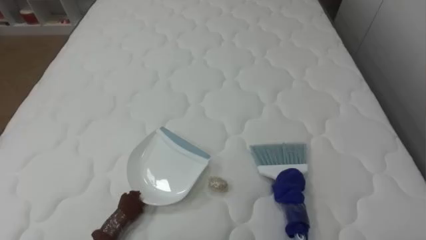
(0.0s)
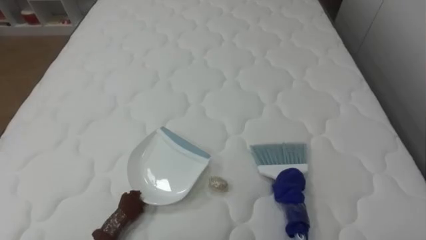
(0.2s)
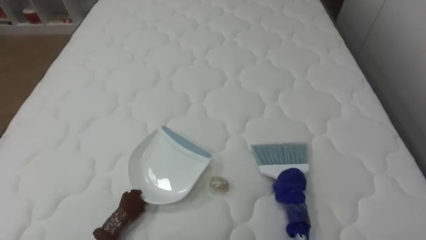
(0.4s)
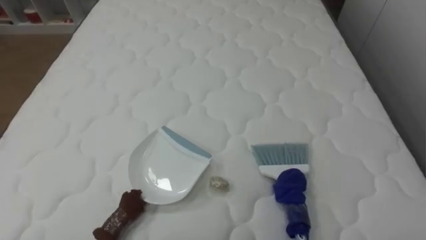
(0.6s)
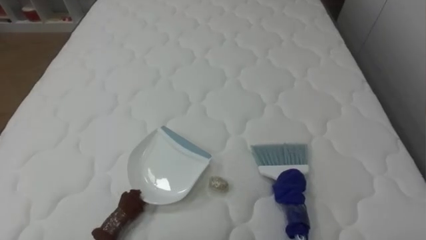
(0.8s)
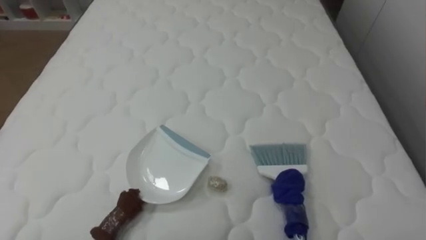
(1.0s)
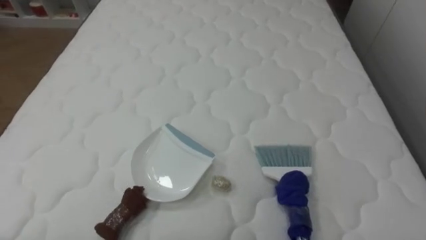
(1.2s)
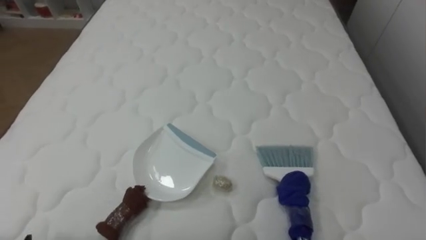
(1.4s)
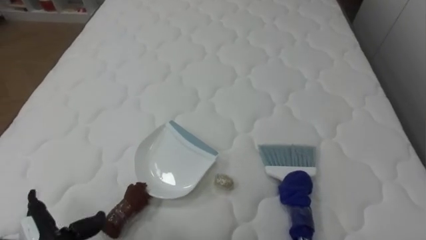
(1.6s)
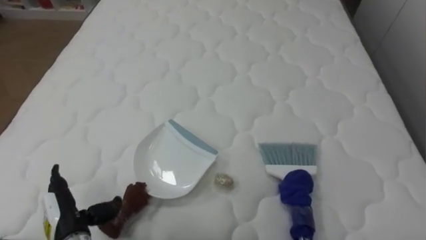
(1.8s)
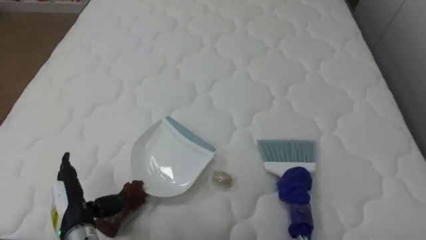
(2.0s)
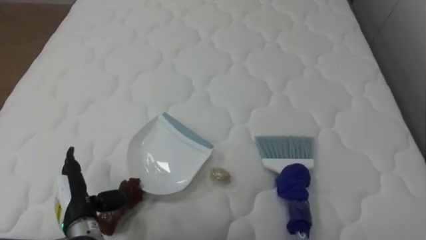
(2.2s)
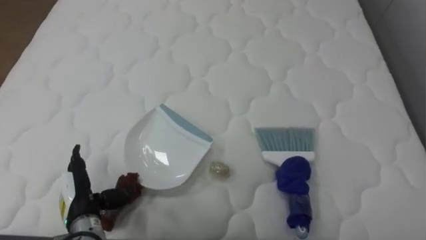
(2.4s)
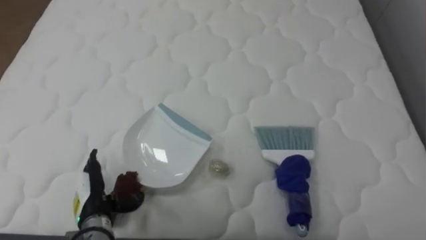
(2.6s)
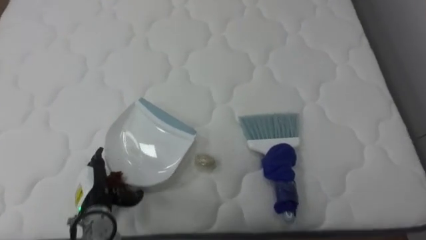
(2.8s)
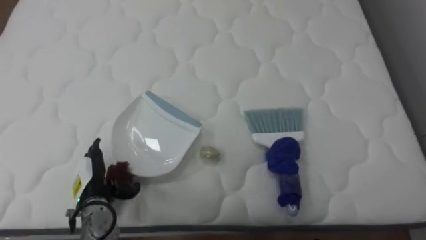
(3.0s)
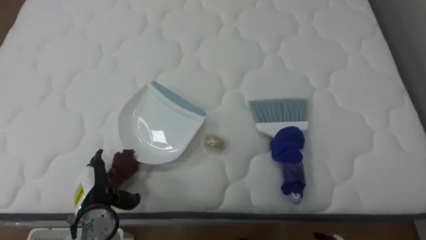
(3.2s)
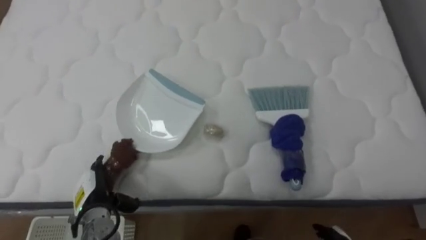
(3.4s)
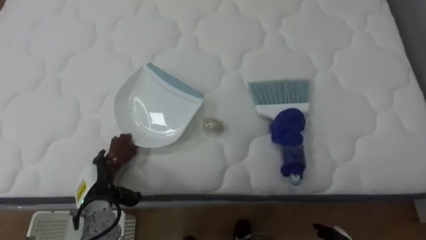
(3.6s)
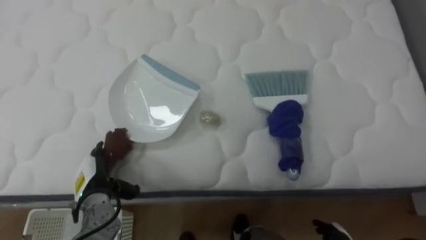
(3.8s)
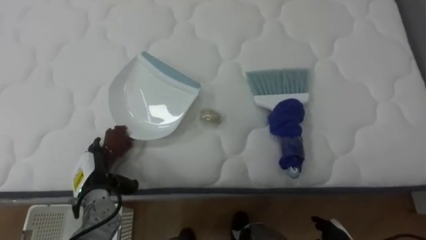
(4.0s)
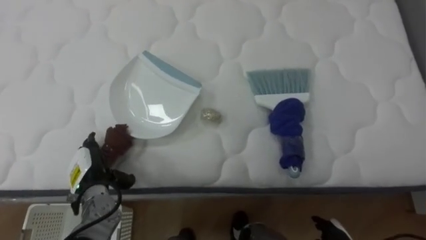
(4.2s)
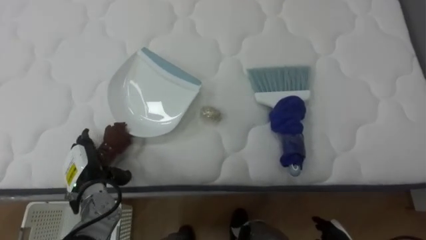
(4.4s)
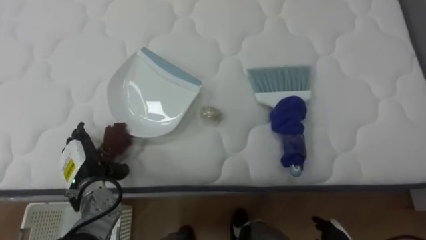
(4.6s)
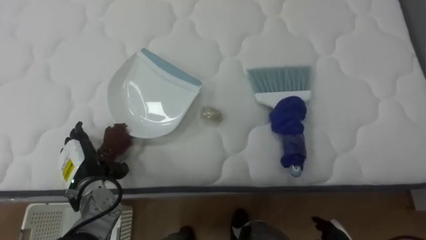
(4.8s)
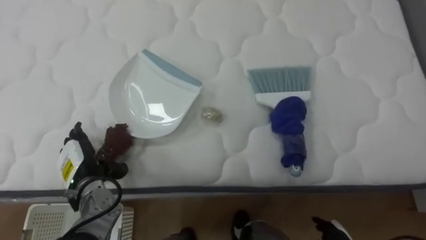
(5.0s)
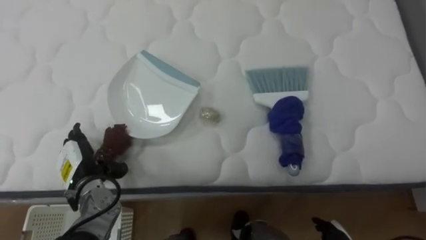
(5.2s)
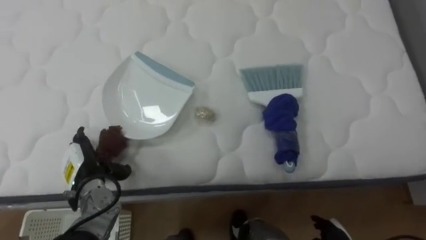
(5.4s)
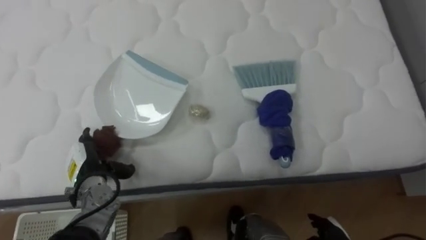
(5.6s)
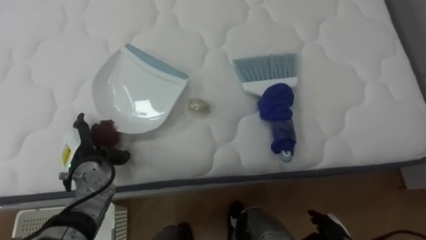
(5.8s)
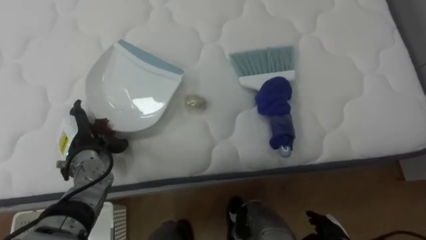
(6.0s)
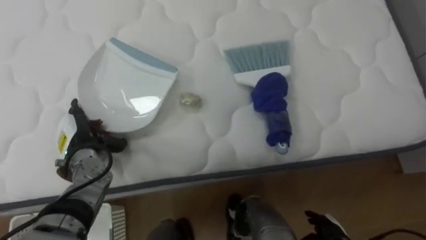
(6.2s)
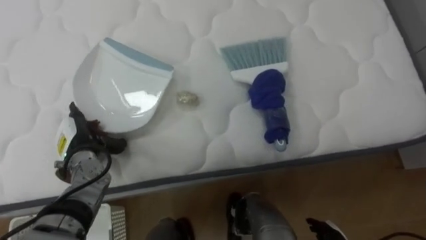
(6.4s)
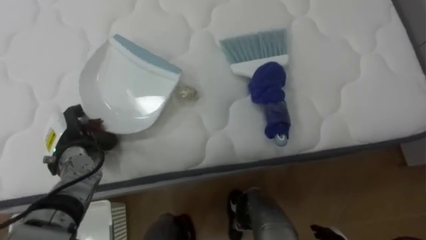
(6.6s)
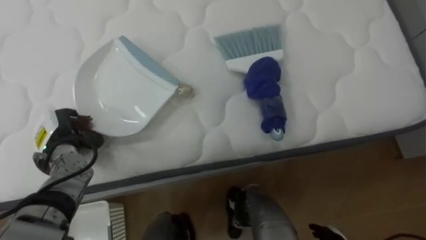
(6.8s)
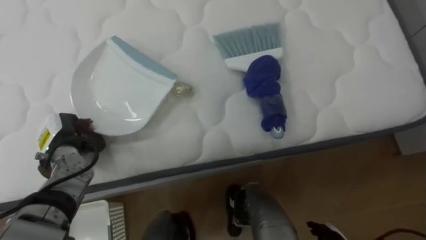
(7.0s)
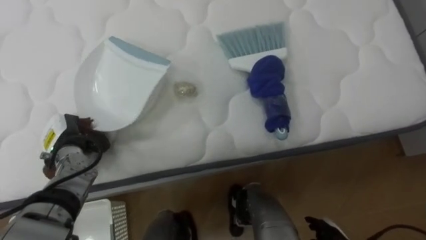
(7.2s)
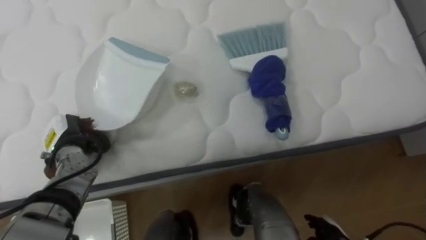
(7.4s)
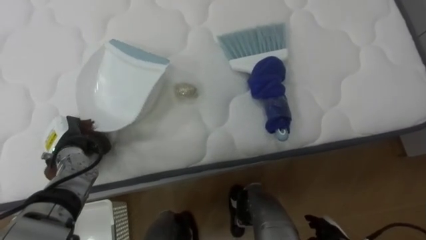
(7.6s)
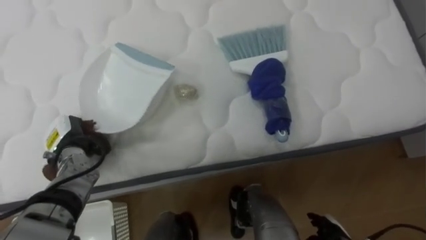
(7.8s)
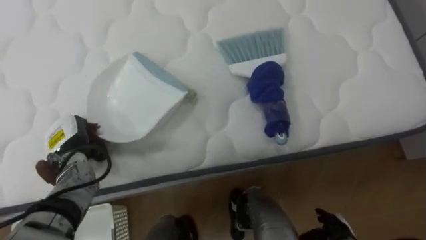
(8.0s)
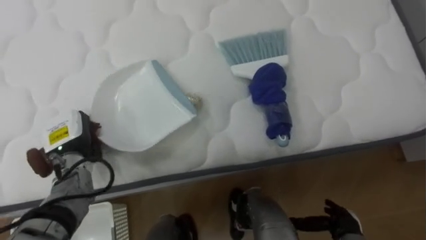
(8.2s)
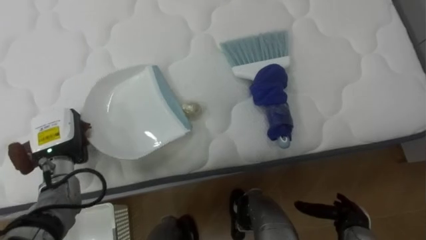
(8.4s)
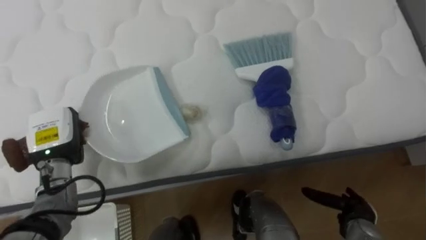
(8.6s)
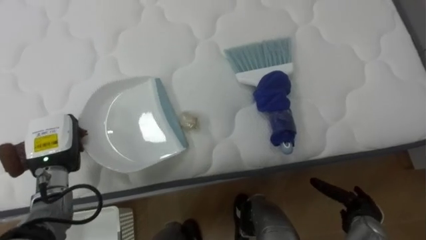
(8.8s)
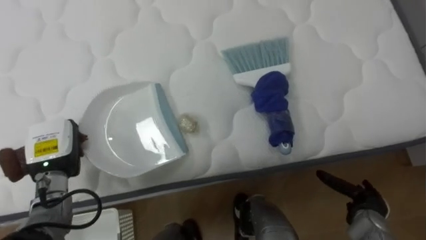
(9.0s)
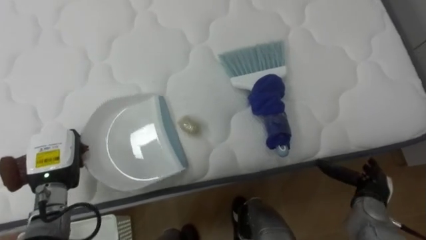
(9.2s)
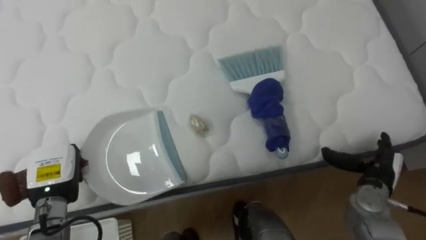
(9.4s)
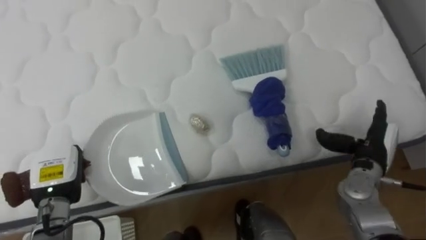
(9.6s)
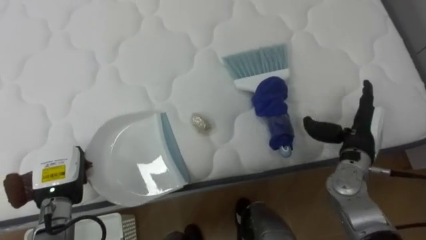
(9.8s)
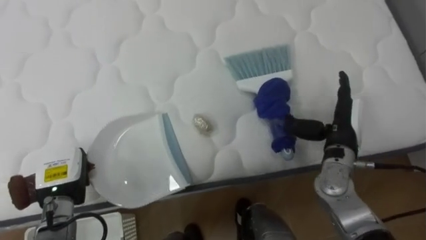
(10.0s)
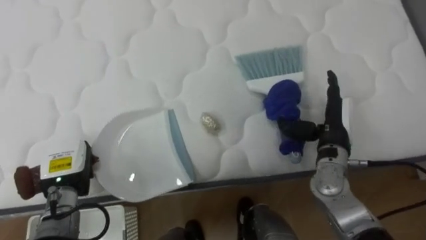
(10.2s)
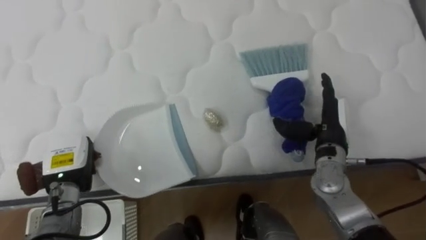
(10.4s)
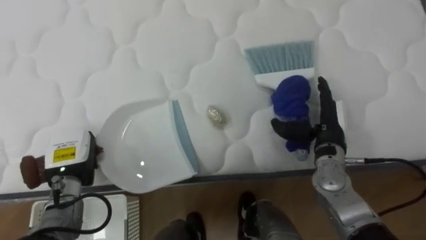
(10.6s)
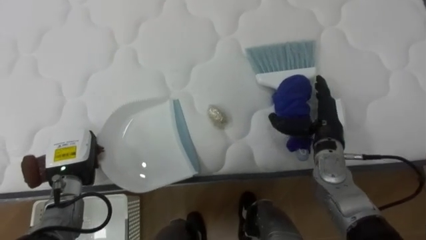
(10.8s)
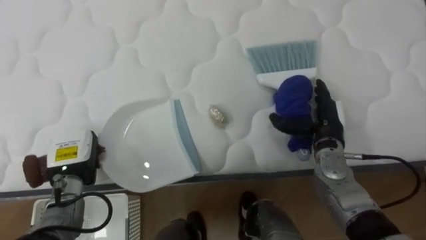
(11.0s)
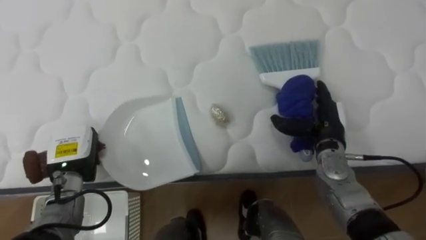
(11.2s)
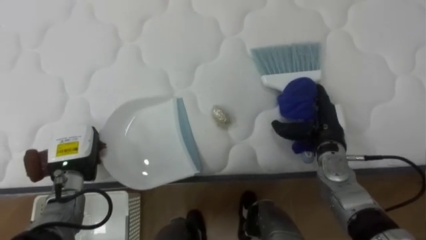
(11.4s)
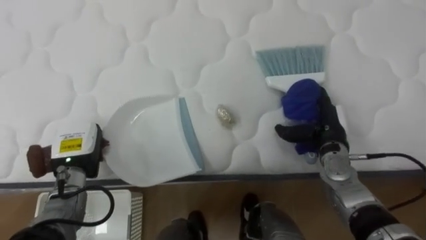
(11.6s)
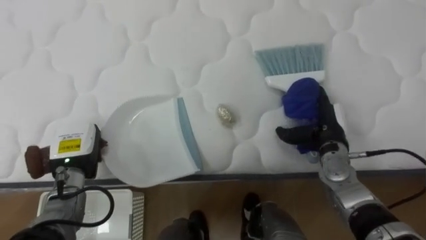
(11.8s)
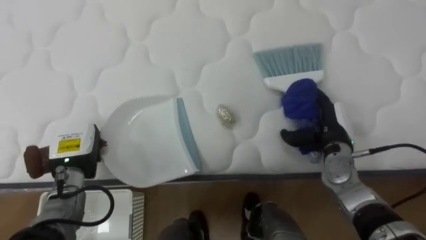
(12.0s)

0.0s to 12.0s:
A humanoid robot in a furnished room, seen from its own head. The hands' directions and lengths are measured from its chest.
Task of the whole recording: Pick up the brush on your right and the dustpan on your left. Use the brush to sweep the crumpled paper on the bed into the dustpan, then turn left and empty it into the basket.
1.6s to 3.0s: The left hand travels forward and to the right by about 15 cm.
4.4s to 6.0s: The left hand shifts by some 5 cm.
6.0s to 7.6s: The left hand closes.
9.0s to 10.4s: The right hand moves upward, forward and to the left, roughly 20 cm.
10.4s to 12.0s: The right hand moves some 5 cm.

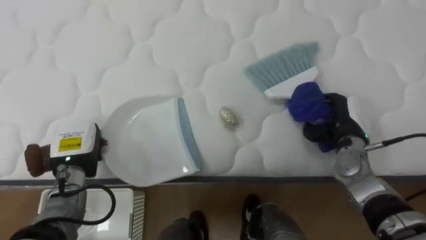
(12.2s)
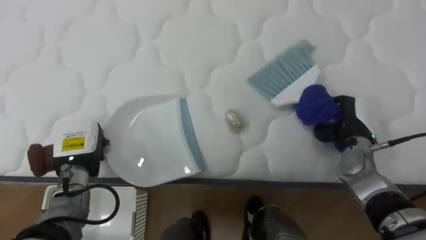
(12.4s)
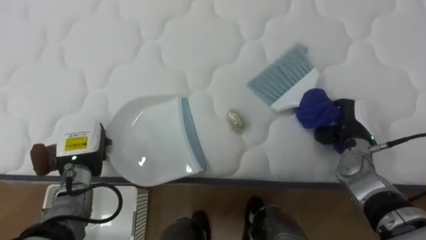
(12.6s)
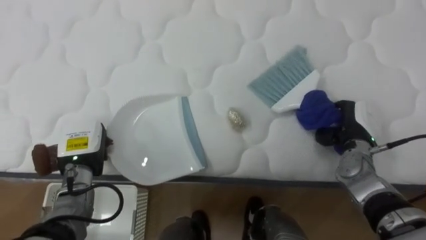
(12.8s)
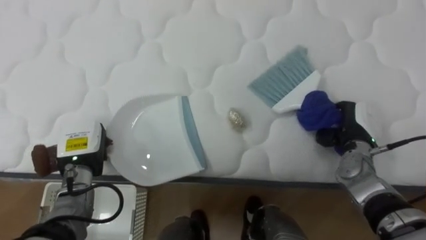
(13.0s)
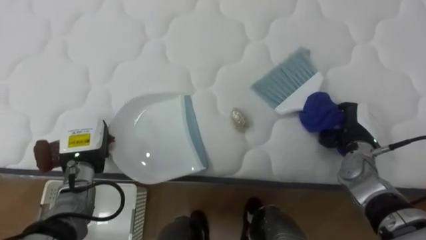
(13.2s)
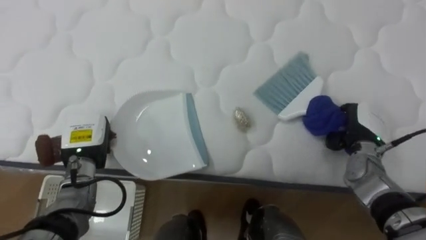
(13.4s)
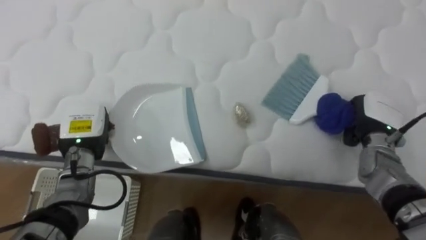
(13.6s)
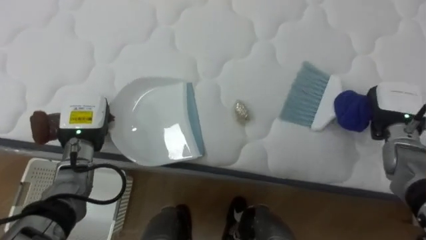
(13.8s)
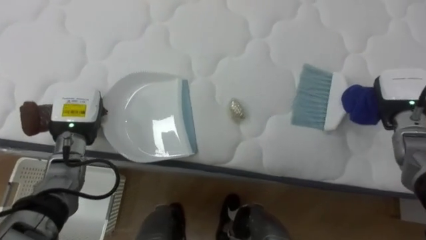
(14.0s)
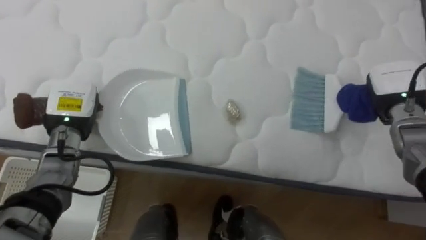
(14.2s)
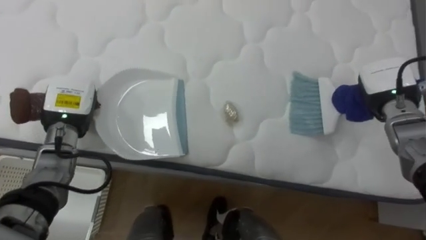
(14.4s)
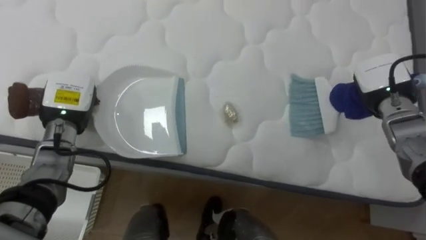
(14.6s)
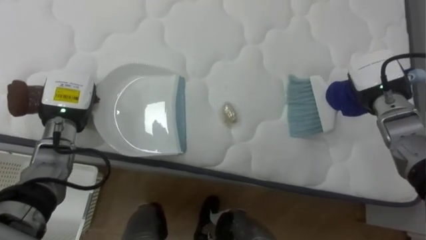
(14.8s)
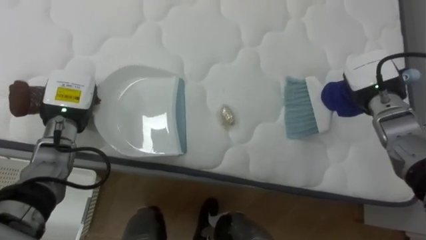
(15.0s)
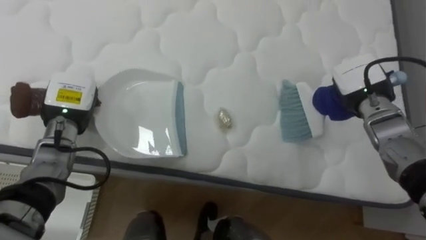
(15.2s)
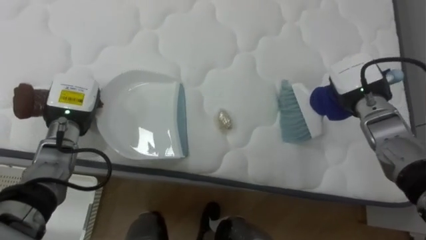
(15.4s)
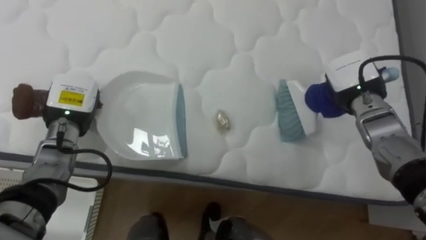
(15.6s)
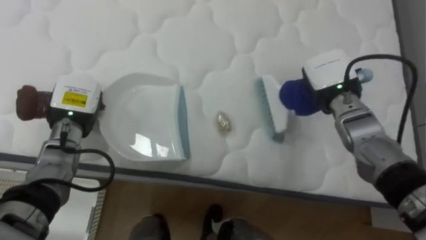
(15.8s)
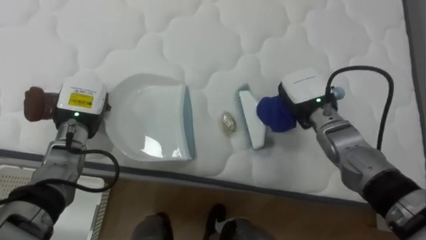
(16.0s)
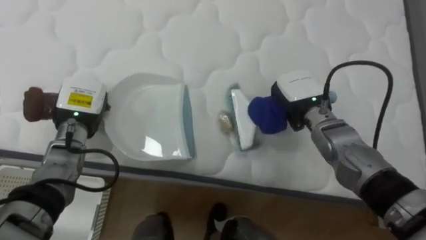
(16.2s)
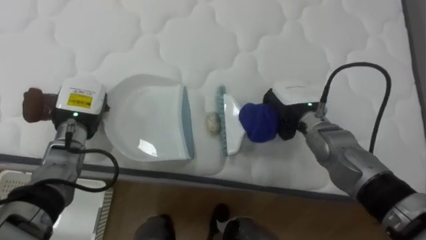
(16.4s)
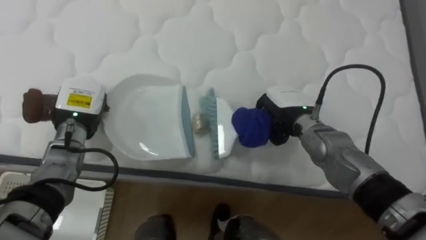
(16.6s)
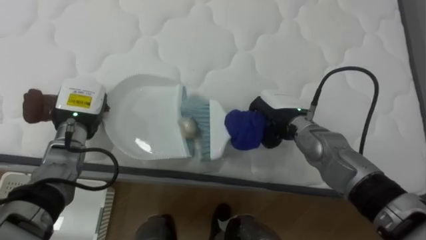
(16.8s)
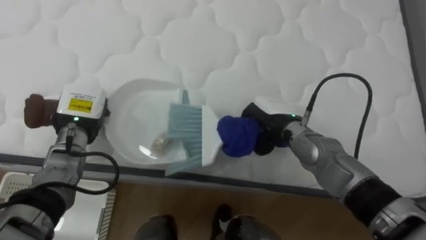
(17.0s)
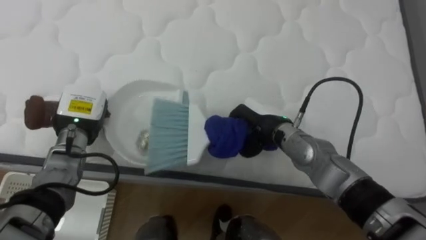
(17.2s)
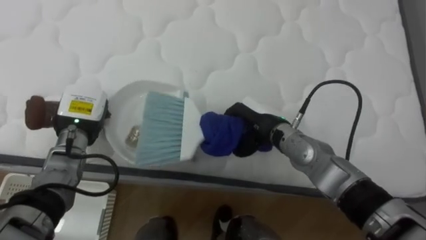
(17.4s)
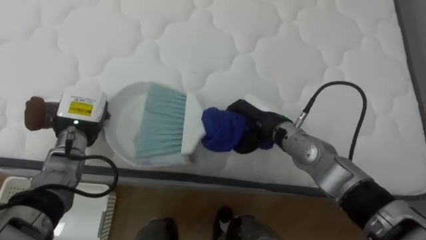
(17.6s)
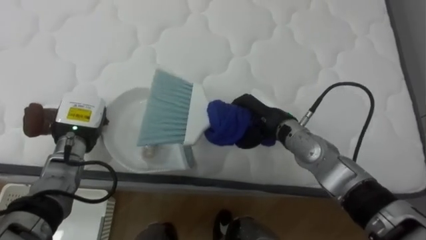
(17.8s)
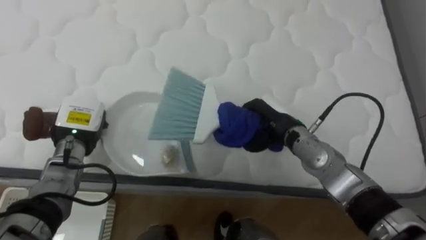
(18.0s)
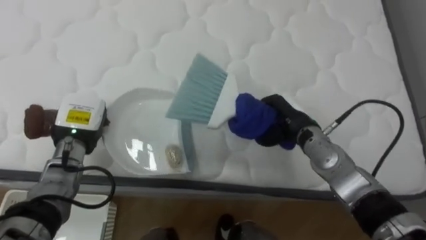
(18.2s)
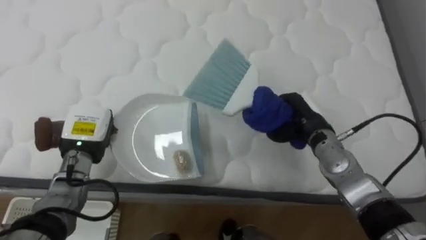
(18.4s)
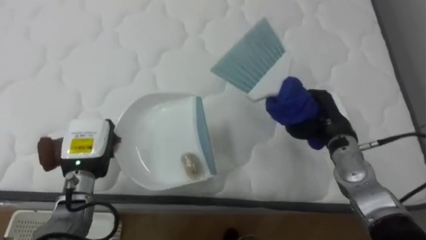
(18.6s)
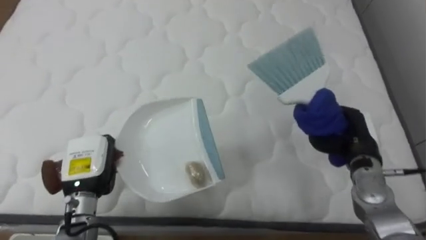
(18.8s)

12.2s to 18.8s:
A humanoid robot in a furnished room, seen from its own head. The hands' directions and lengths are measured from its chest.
Task of the whole recording: Pick up the brush on your right and the dustpan on your left. Use the brush to sweep the crumpled paper on the bed into the dustpan, then turn left and empty it into the basket.
12.2s to 13.8s: The right hand shifts some 10 cm to the right, and closes its fingers. The left hand changes place by some 5 cm.
13.8s to 15.4s: The right hand goes some 10 cm to the left.
15.4s to 17.2s: The right hand is displaced to the left by some 15 cm.
17.2s to 18.8s: The right hand travels to the right by roughly 20 cm, while the left hand moves backward, some 10 cm.
